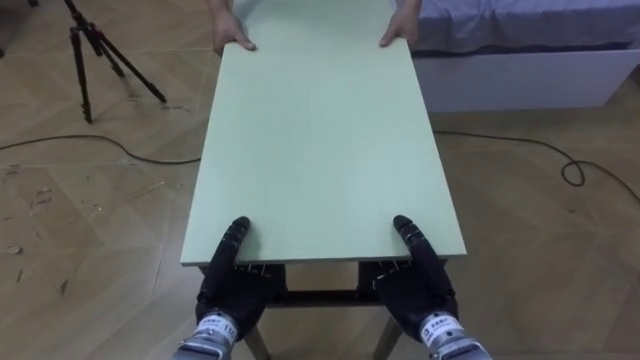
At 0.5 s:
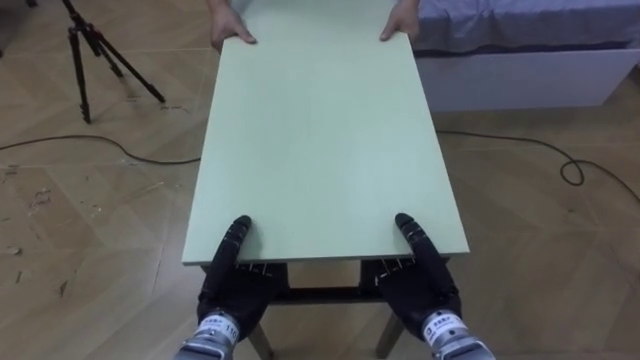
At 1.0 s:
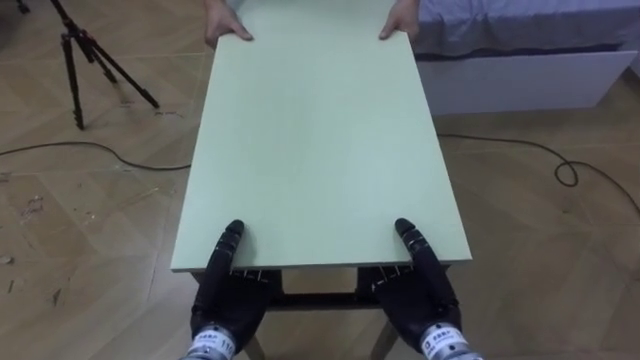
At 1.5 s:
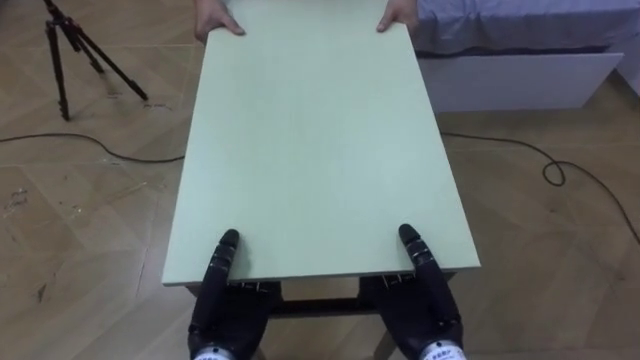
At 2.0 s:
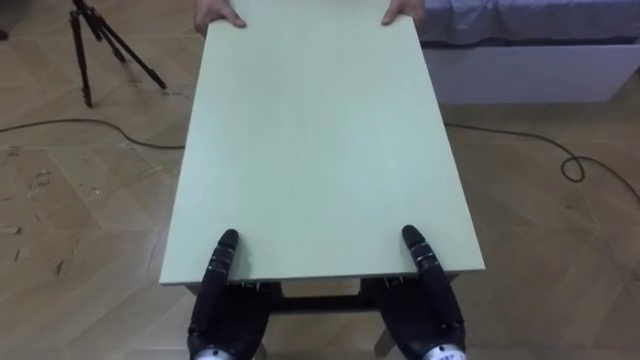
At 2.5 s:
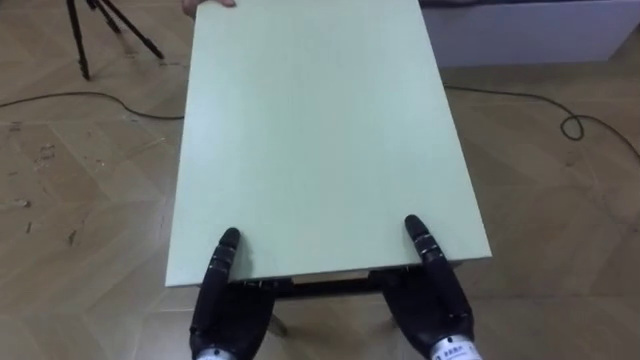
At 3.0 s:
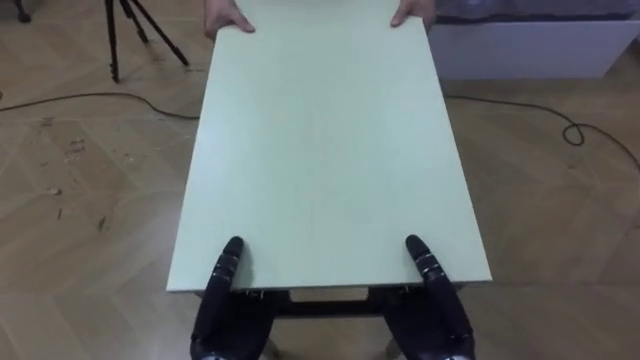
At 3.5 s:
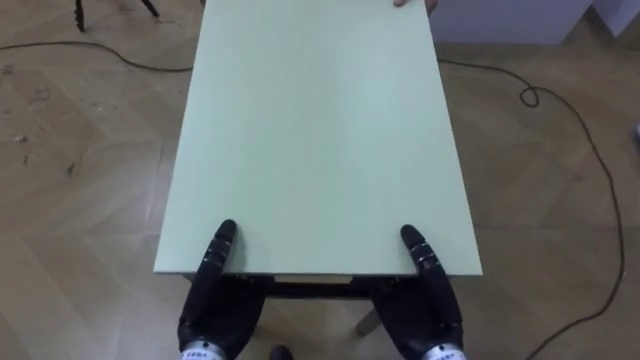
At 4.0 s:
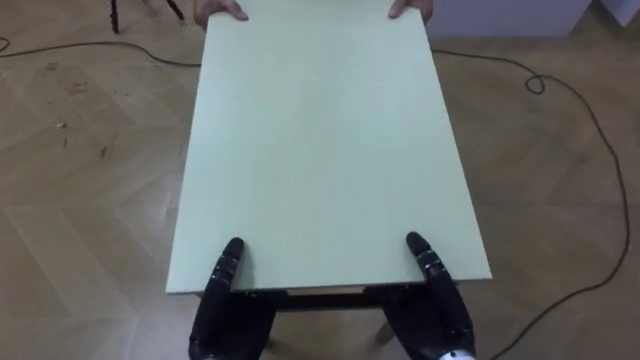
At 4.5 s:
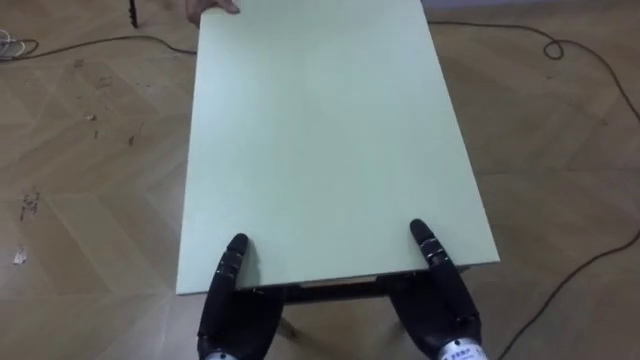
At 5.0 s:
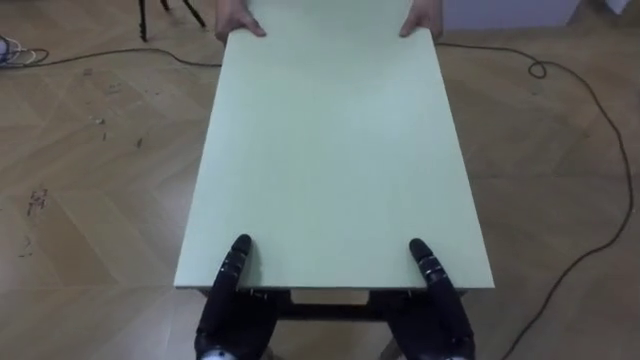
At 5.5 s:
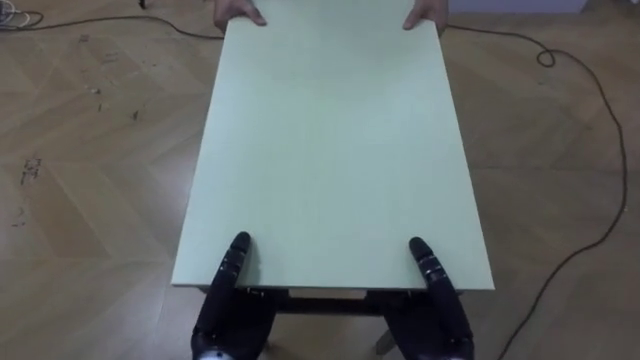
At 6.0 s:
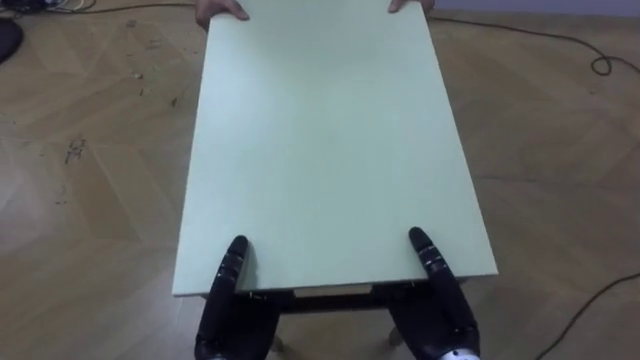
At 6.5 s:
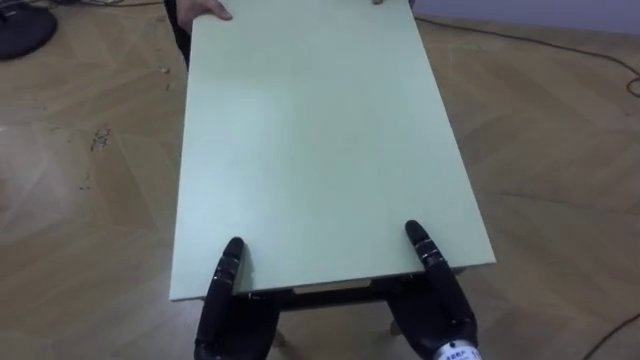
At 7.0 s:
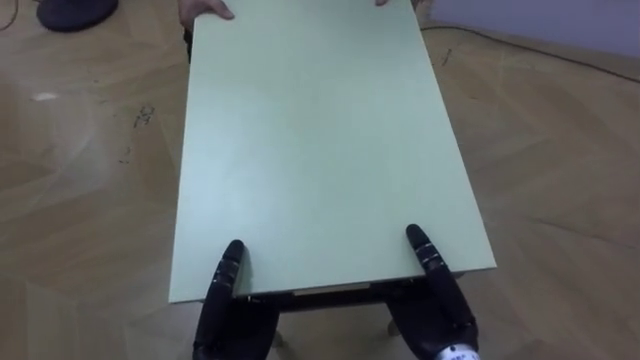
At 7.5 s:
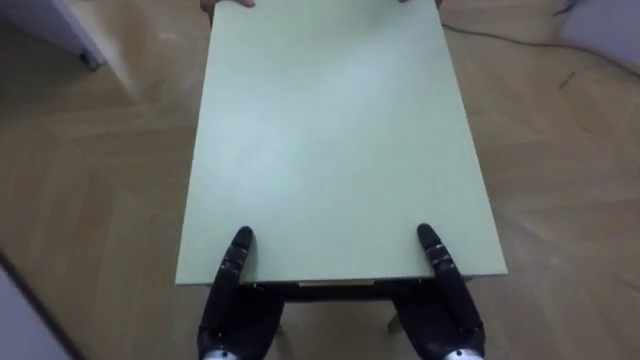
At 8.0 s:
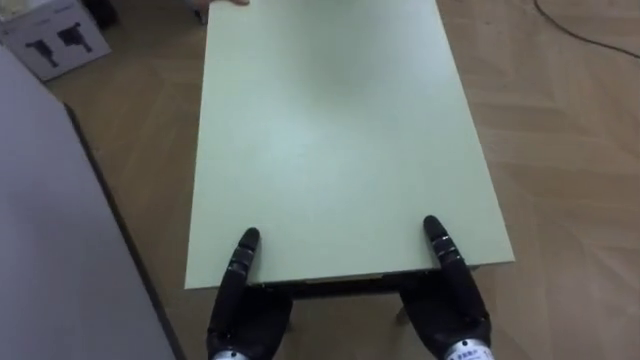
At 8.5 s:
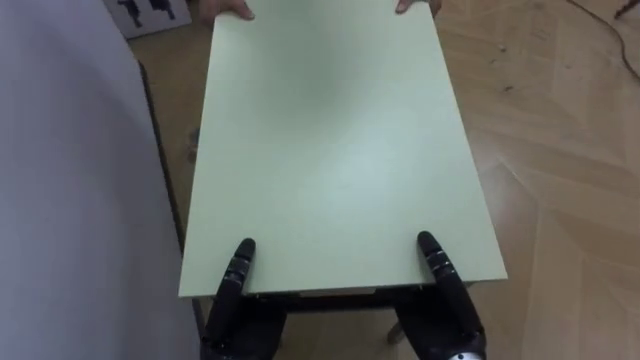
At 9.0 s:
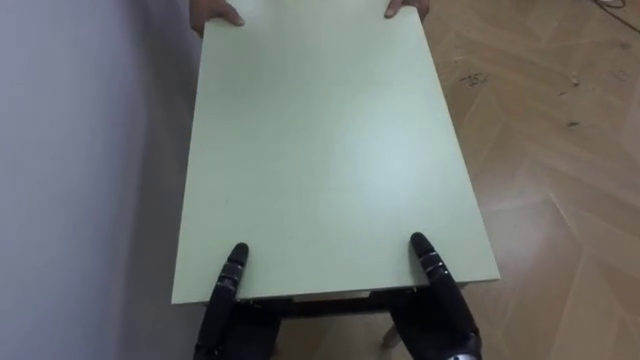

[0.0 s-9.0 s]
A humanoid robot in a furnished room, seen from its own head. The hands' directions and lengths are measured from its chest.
Task of the whole recording: Move the table to the back left with someone.
4.5 to 7.0 s: The robot rotates some 20 degrees to its left.
7.0 to 9.0 s: The robot's body swings about 60 degrees to its left.

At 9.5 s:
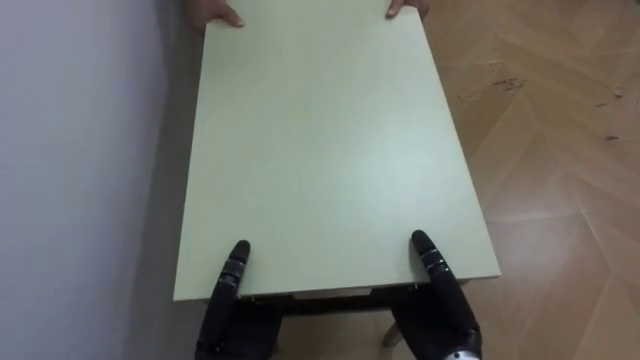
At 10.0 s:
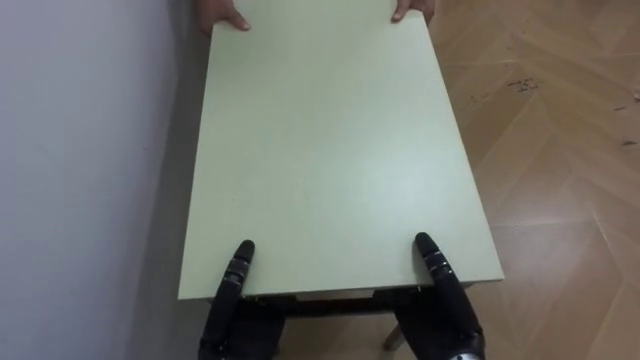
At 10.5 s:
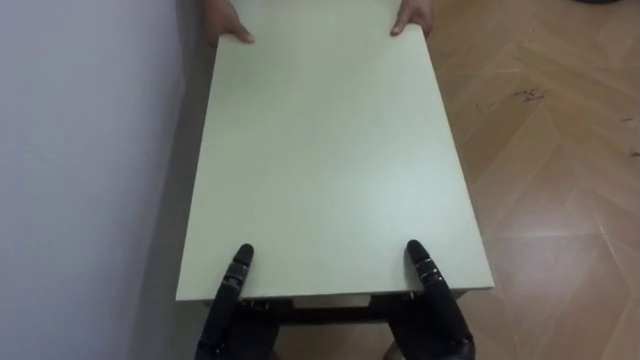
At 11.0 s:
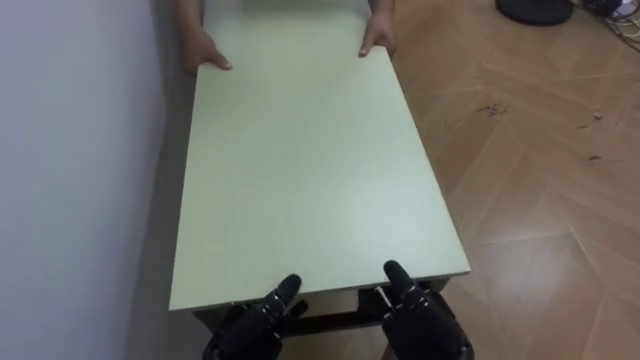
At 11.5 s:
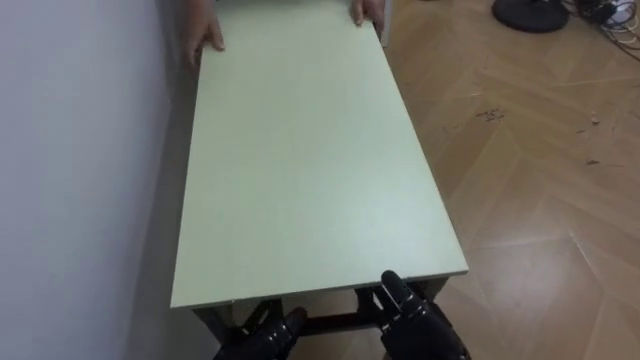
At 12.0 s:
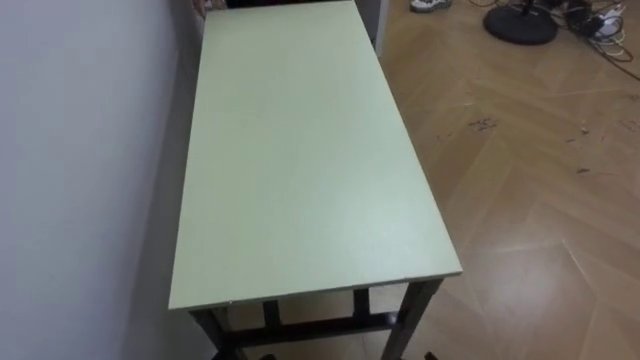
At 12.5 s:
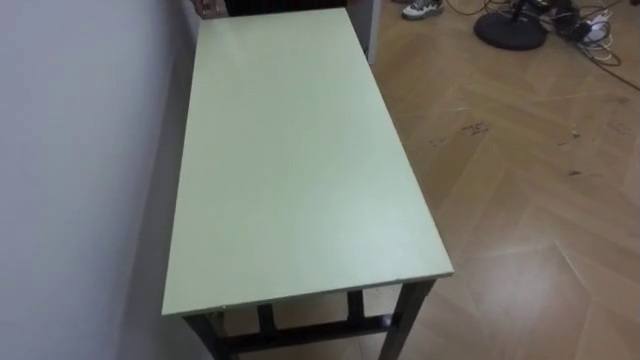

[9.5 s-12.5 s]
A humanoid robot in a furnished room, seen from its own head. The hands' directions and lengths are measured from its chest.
Task of the whole recording: Move the table to the back left with someone.
9.5 to 11.0 s: The left hand opens its fingers; the right hand opens.

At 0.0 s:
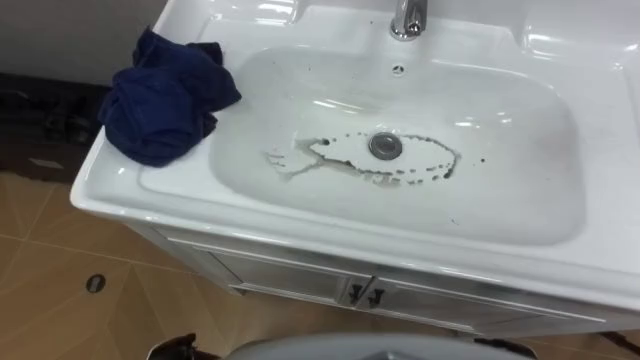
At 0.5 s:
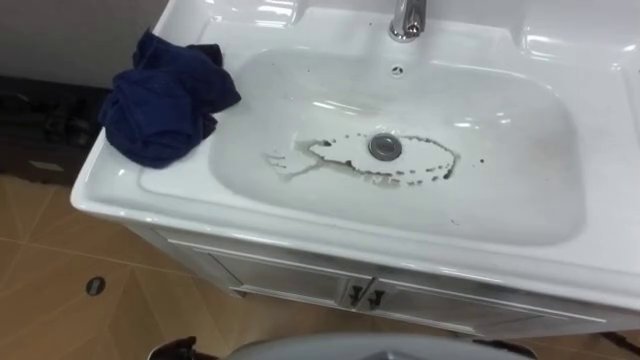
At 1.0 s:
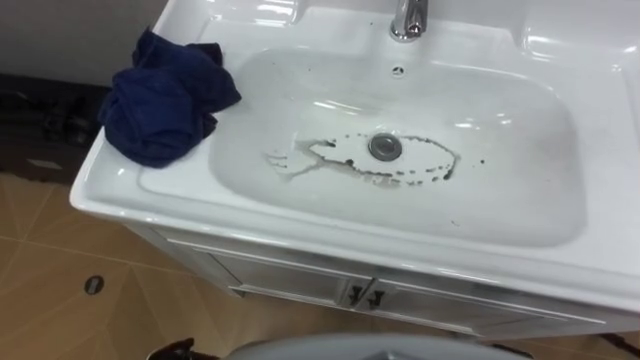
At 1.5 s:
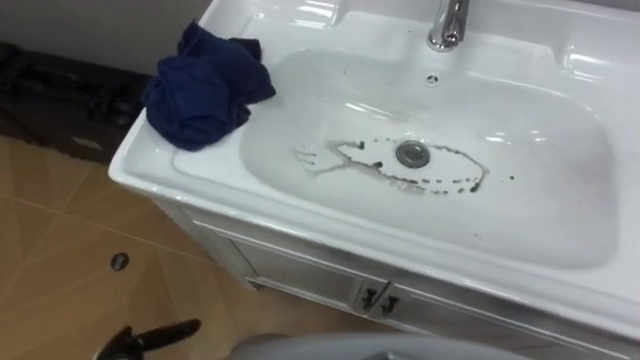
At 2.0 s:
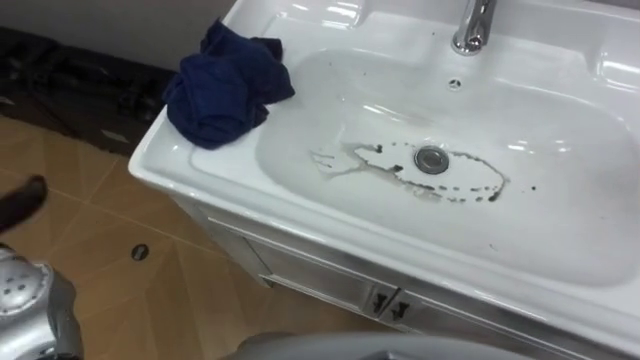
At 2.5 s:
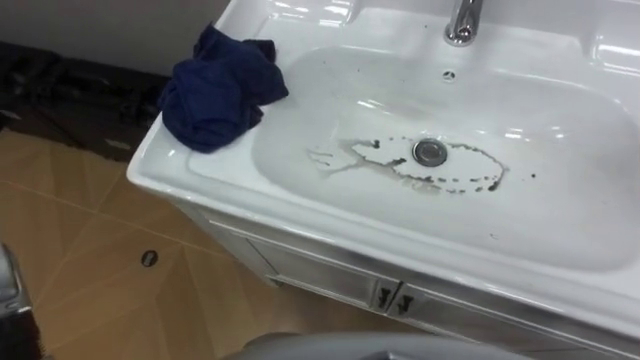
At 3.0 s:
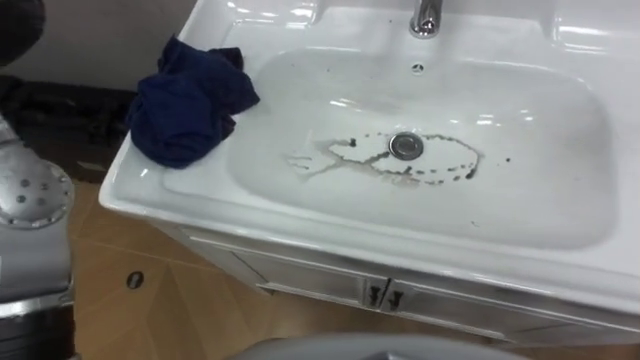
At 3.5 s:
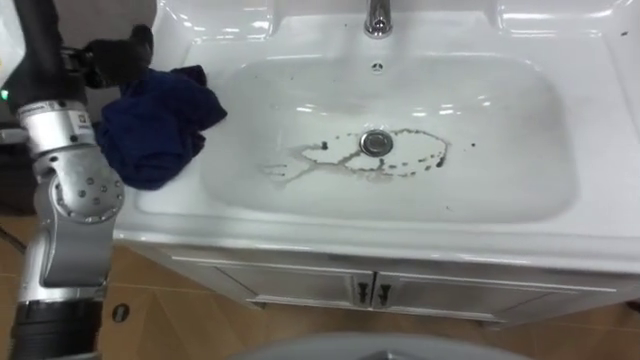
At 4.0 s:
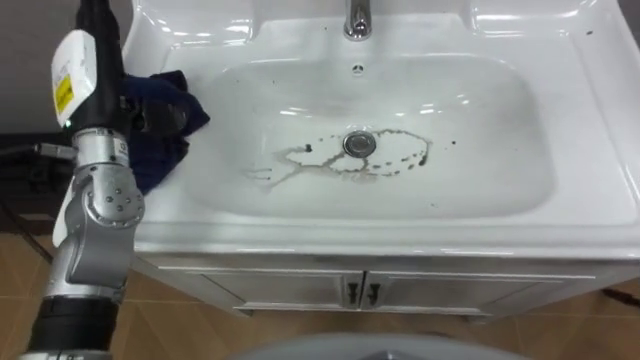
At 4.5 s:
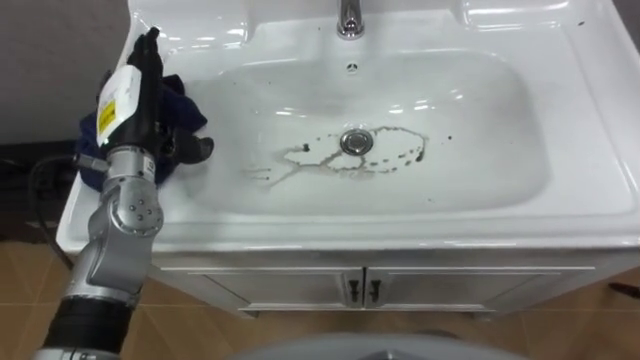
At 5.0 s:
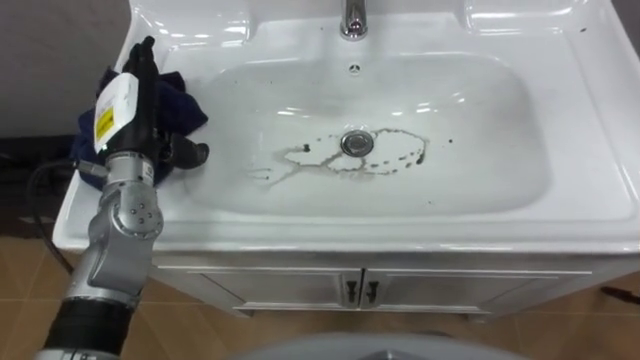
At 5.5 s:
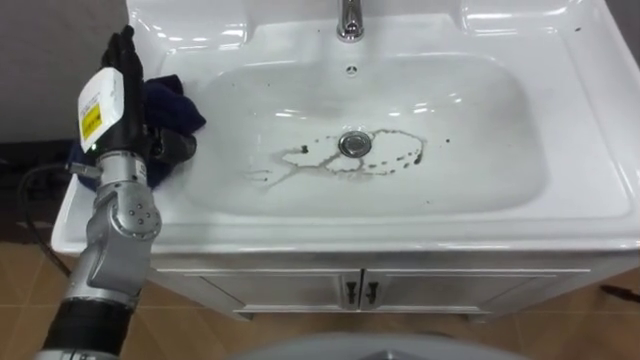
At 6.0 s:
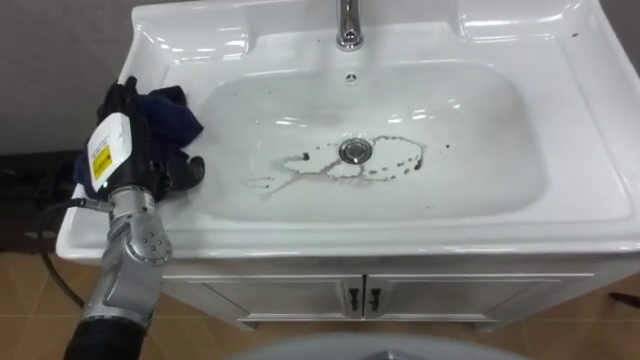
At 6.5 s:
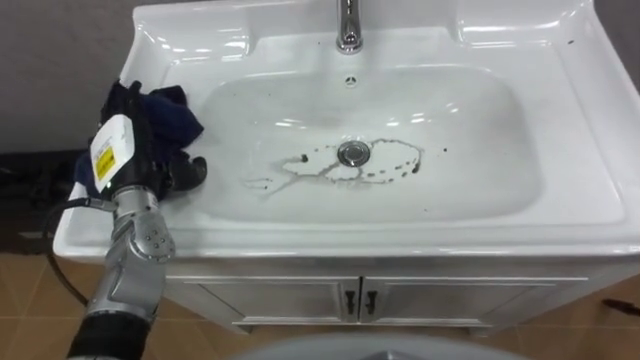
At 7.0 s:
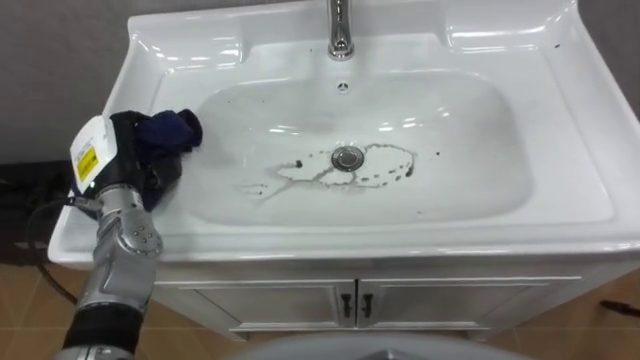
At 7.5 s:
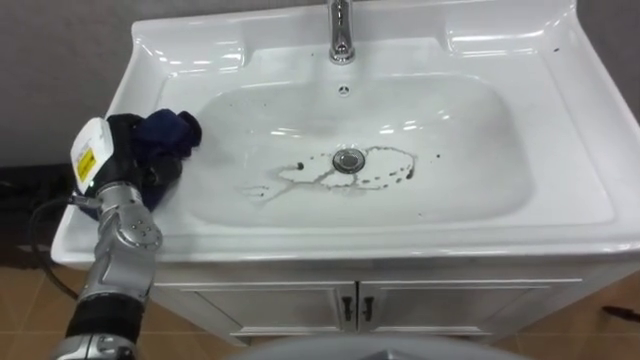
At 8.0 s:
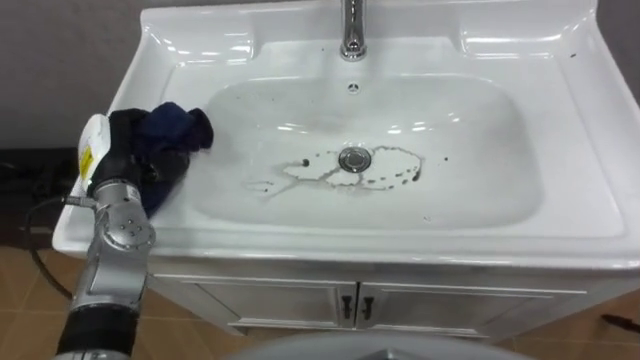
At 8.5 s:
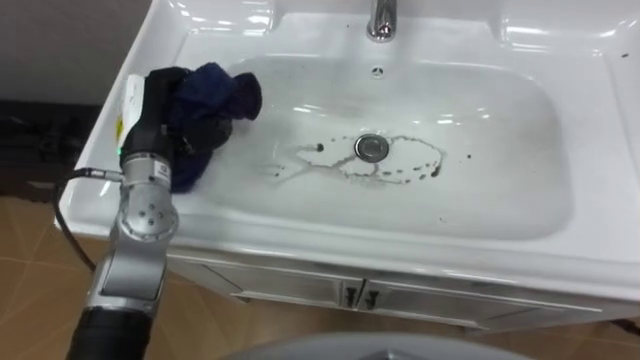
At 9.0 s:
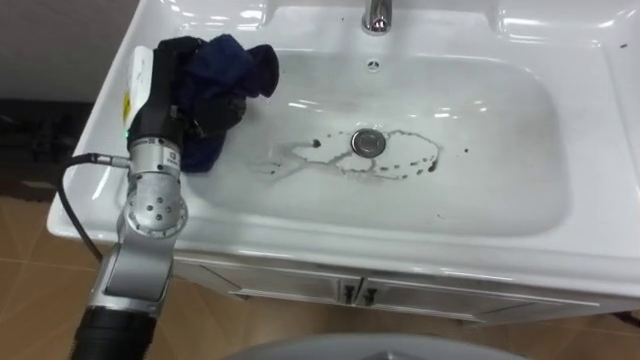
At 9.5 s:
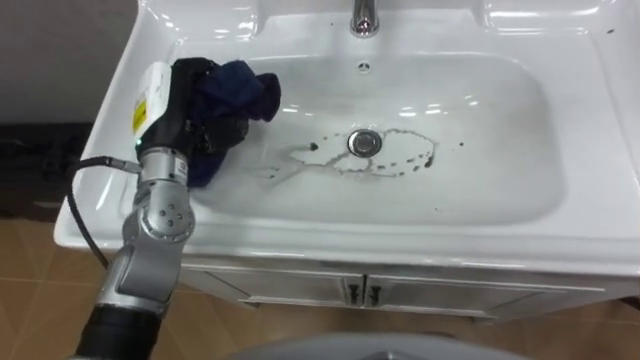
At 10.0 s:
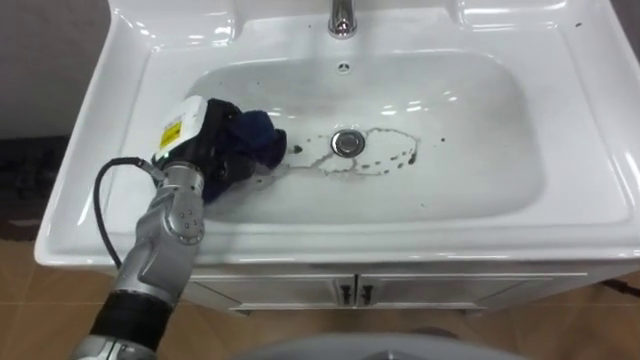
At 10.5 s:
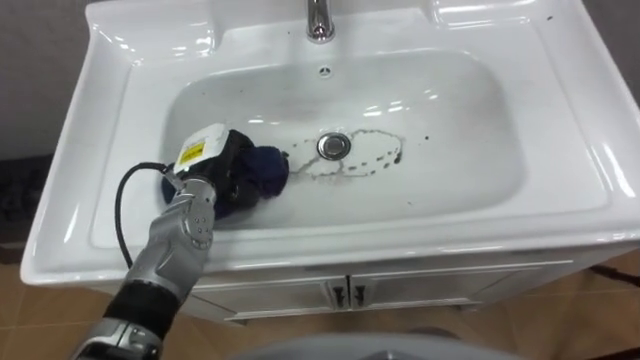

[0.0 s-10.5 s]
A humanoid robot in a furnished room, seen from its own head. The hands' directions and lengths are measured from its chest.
Task of the whole recording: Use the cloth on the right to wipe away the black stain in the sink.
4.0 to 6.5 s: The left hand travels downward by about 10 cm.
6.5 to 8.5 s: The left hand travels upward by some 5 cm, and closes its fingers.
8.5 to 10.5 s: The left hand goes some 10 cm downward.
